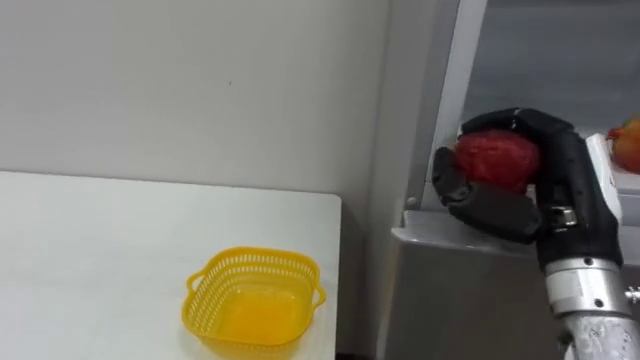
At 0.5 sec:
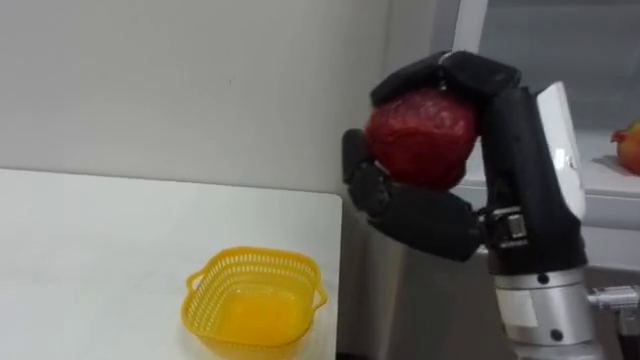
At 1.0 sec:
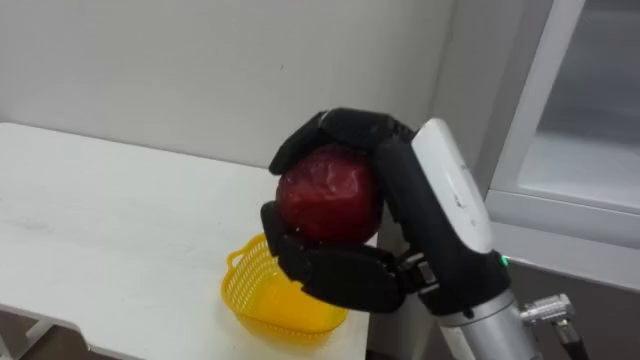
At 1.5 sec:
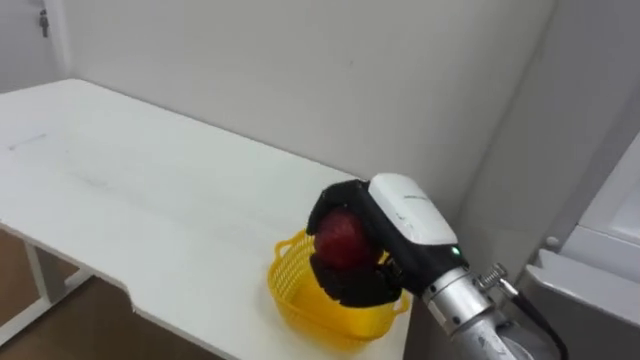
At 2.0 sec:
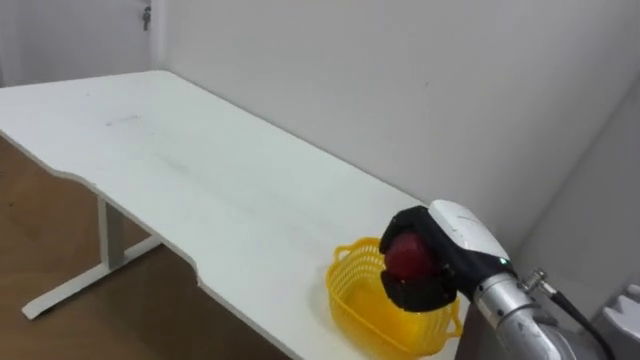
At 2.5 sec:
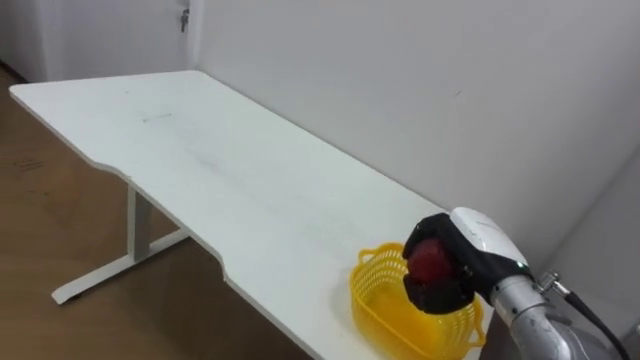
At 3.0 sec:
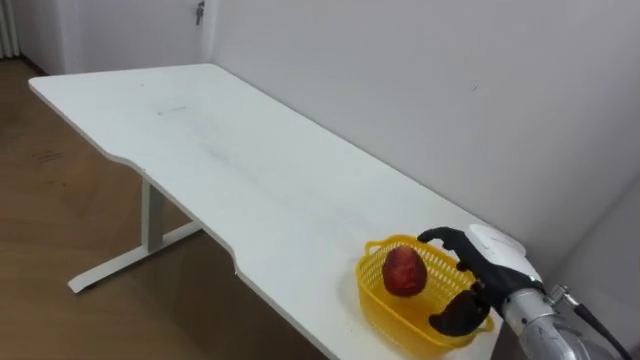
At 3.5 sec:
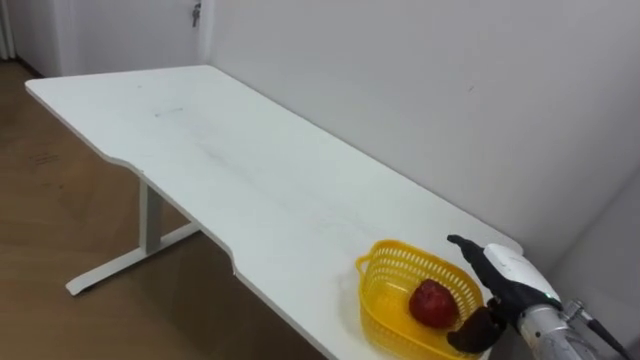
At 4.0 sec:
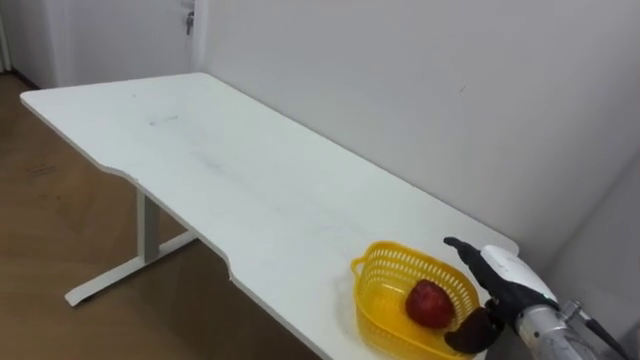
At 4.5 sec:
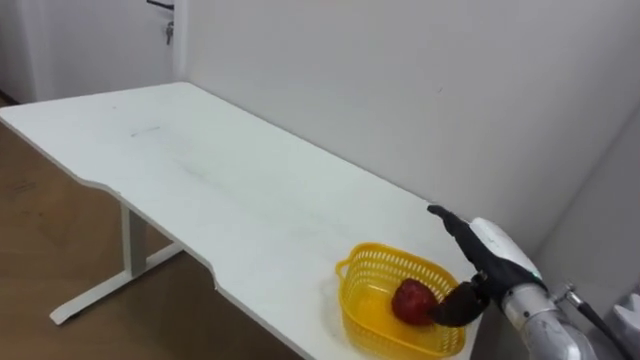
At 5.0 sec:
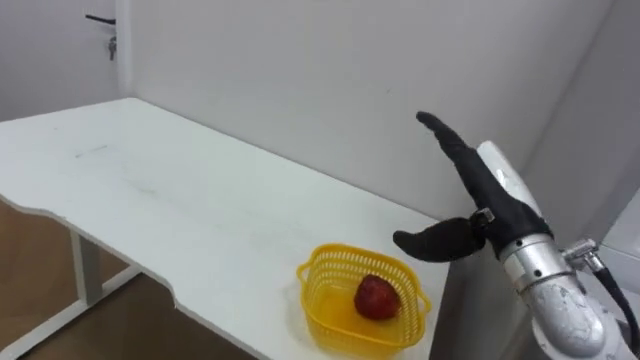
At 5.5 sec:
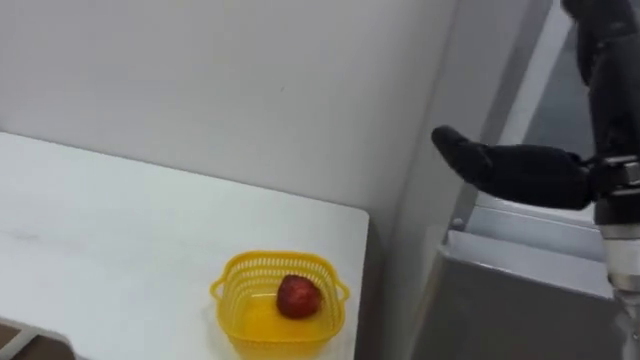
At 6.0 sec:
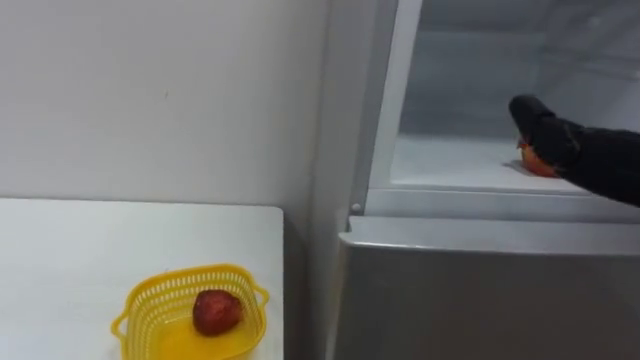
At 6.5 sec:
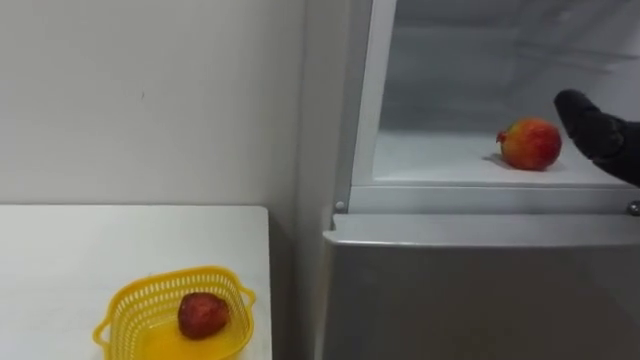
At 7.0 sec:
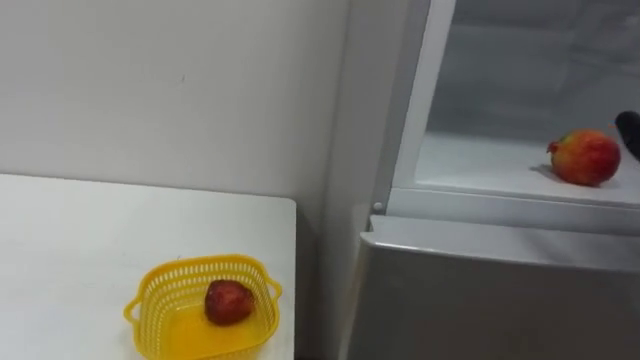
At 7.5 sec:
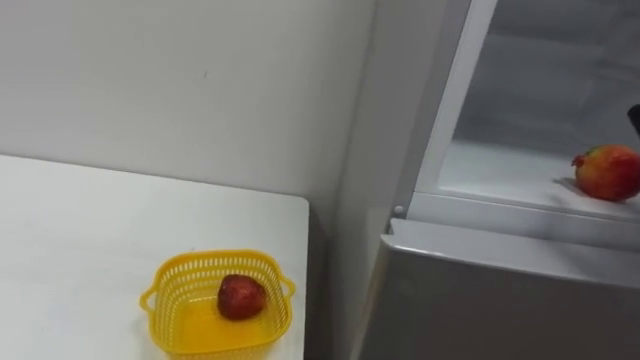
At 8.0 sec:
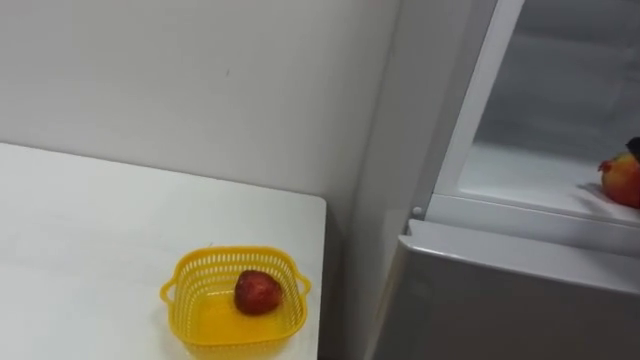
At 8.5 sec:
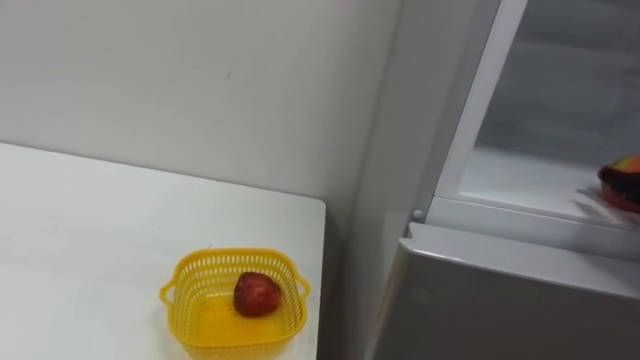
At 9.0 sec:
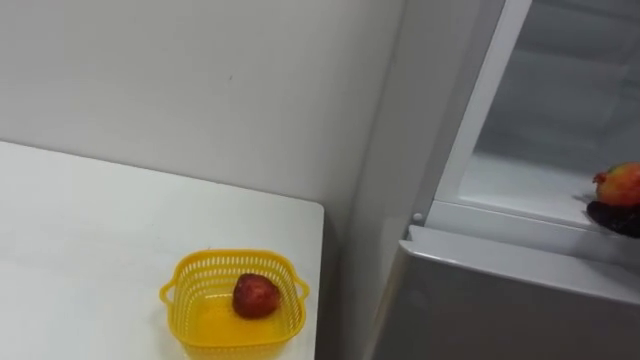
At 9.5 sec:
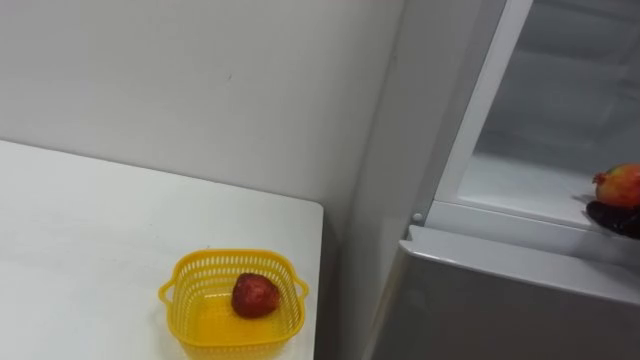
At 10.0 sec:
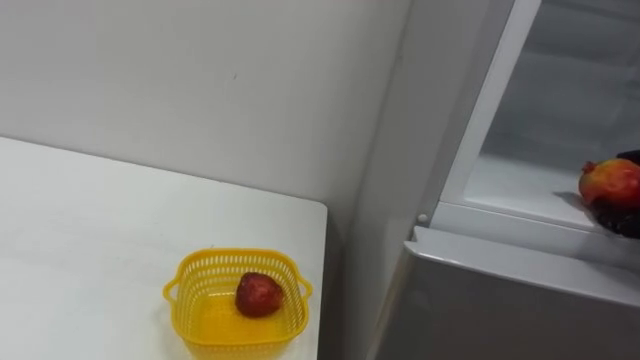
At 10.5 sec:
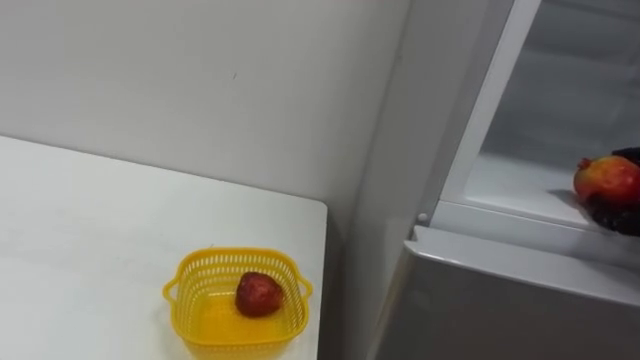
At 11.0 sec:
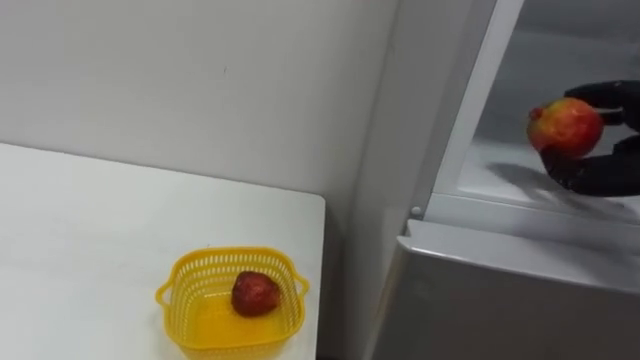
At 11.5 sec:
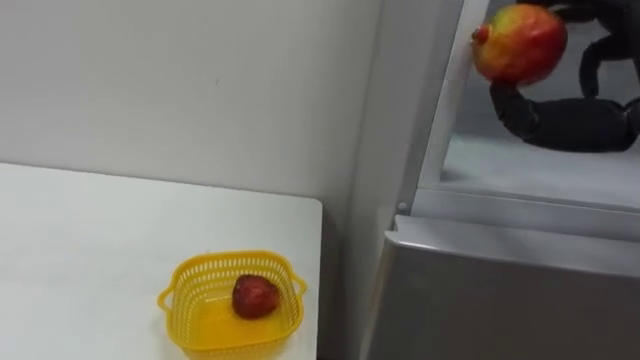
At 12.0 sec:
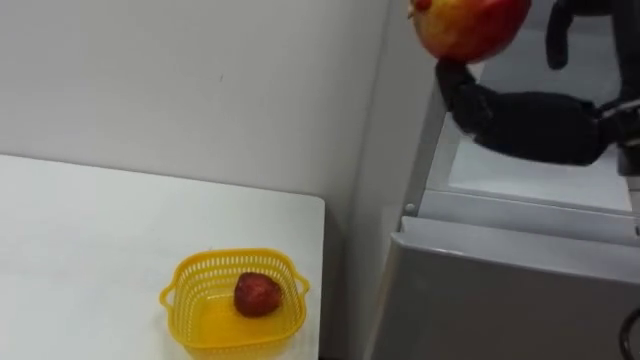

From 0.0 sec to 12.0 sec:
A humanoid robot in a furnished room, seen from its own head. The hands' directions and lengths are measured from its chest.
Task of the whole recording: Open the refrigerator door, take out the apple and the pomegranate, place them in the fruit basket on the left, and close the refrigerator door.
From 0.0 sec to 2.0 sec: The right hand is displaced downward, to the left and forward by approximately 15 cm.
From 2.0 sec to 4.0 sec: The right hand is displaced downward and to the right by approximately 10 cm, and opens its fingers.

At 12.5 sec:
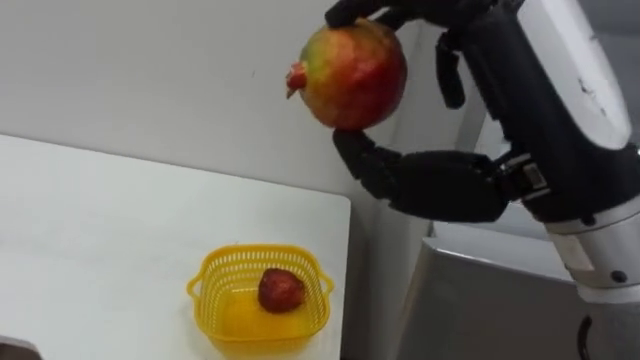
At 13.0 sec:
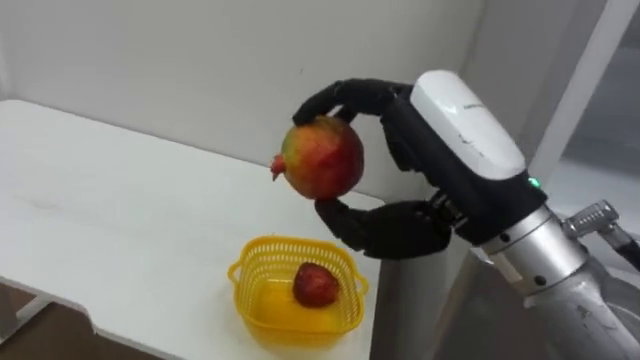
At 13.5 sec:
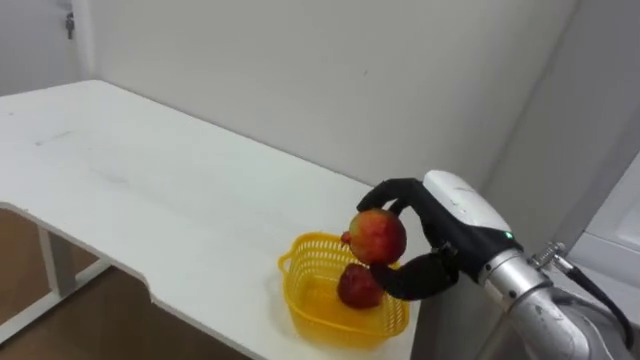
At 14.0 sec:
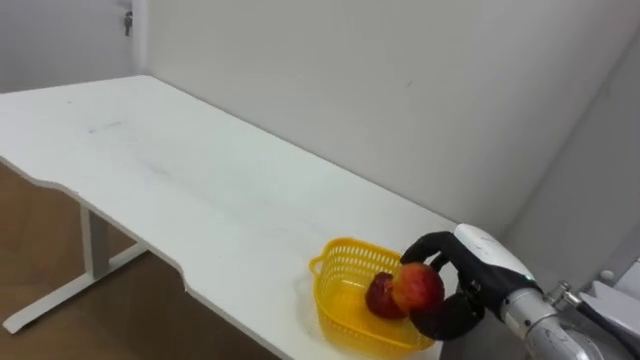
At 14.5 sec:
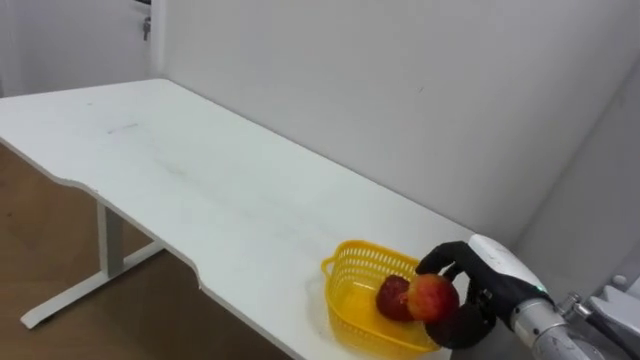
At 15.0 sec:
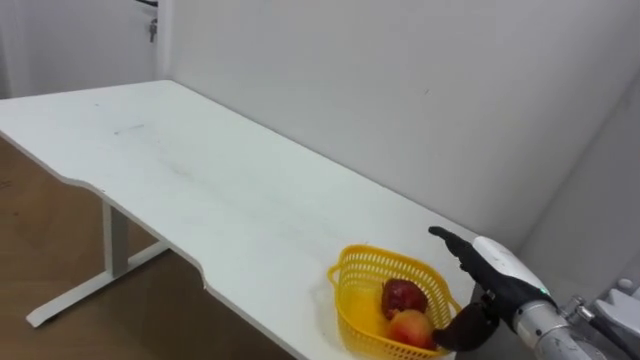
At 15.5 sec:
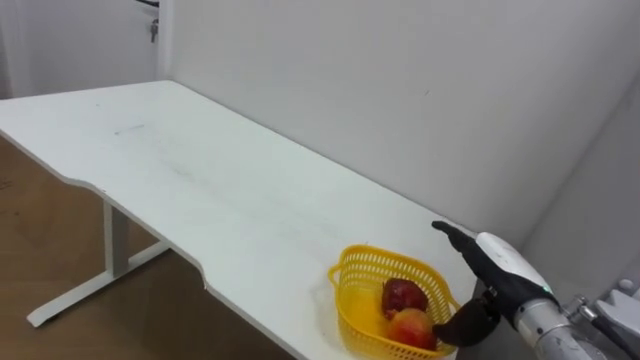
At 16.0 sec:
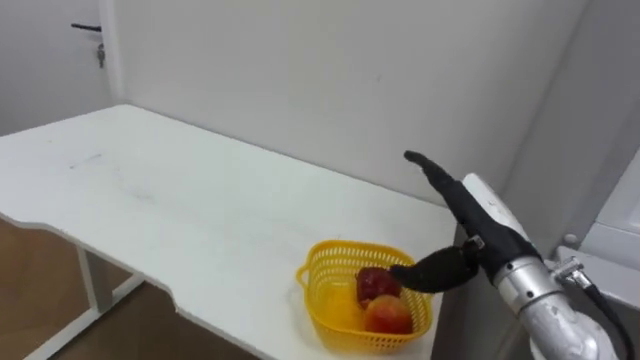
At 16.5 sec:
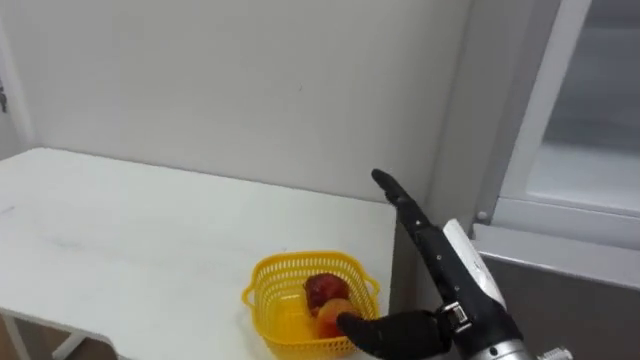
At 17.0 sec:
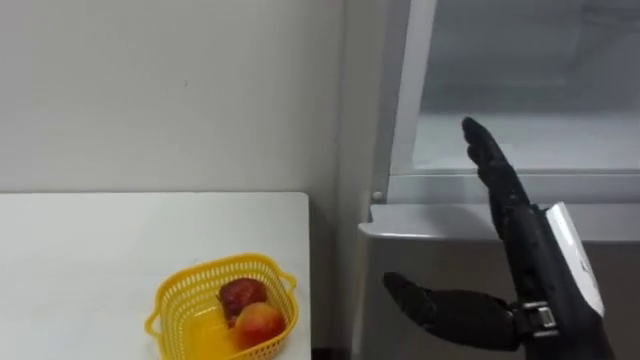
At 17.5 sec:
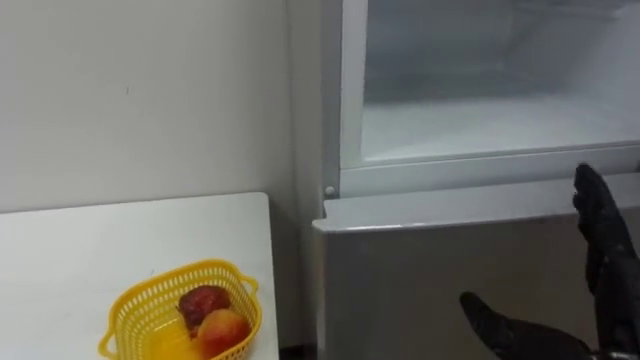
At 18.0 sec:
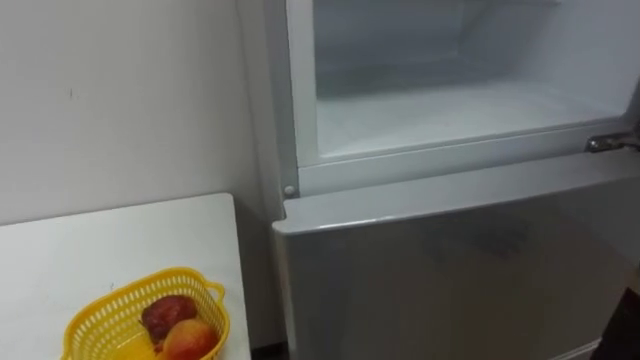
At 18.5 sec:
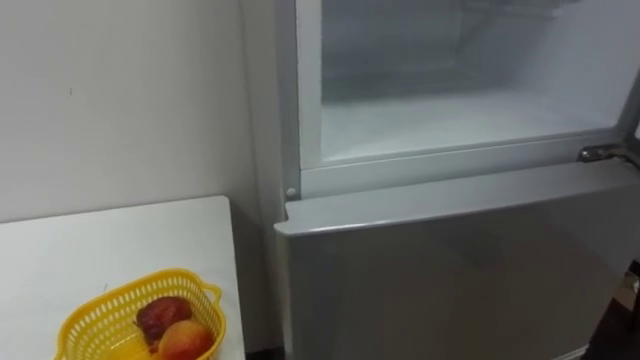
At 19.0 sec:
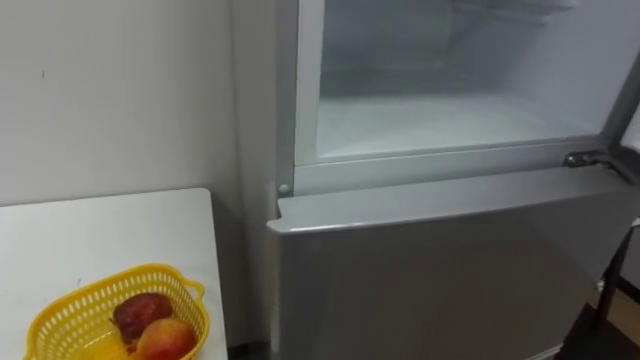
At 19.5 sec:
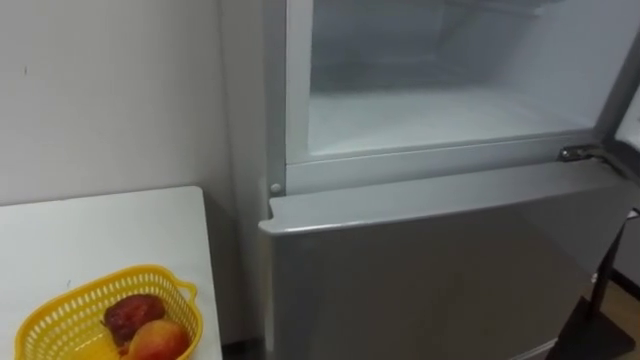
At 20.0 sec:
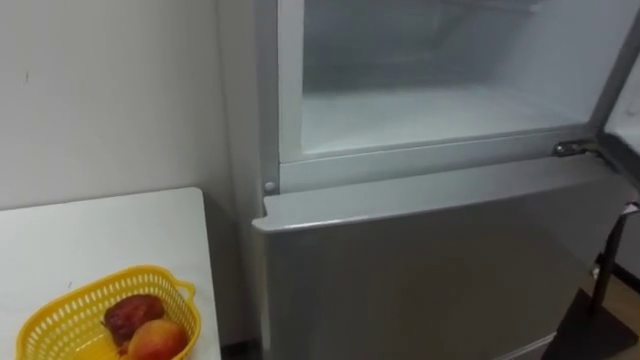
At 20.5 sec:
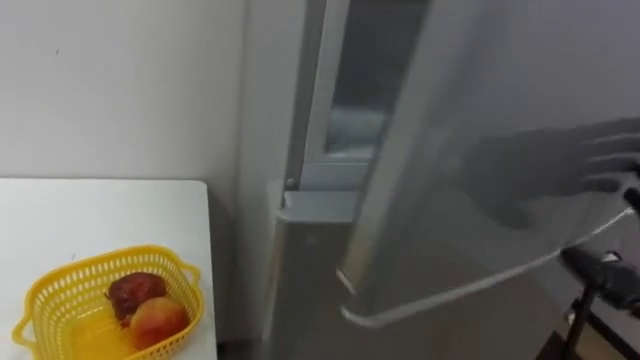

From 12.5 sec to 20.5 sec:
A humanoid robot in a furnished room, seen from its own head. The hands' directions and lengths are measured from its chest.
Task of the whole recording: Open the refrigerator door, take out the apple and the pomegranate, place them in the fruit basket on the left, and close the refrigerator door.
From 12.5 sec to 14.5 sec: The right hand moves downward and forward, roughly 30 cm.
From 14.5 sec to 16.5 sec: The right hand is displaced backward, upward and to the left by about 15 cm, and opens up.
